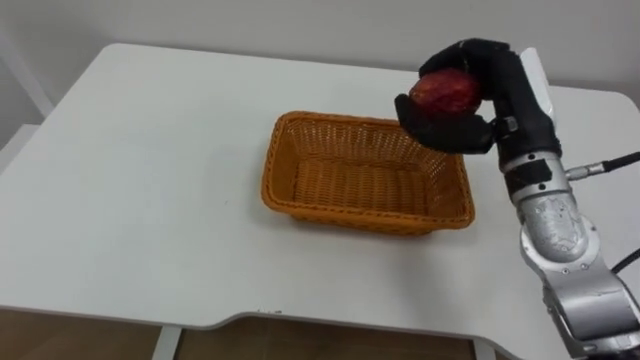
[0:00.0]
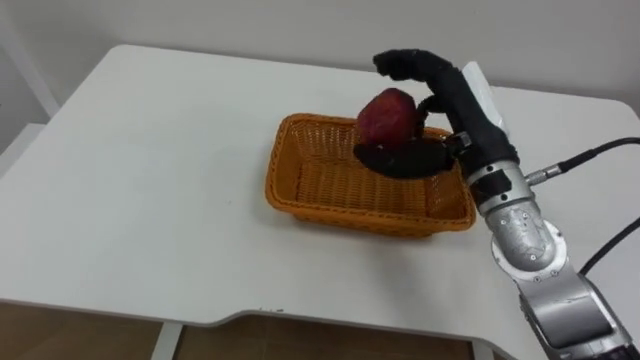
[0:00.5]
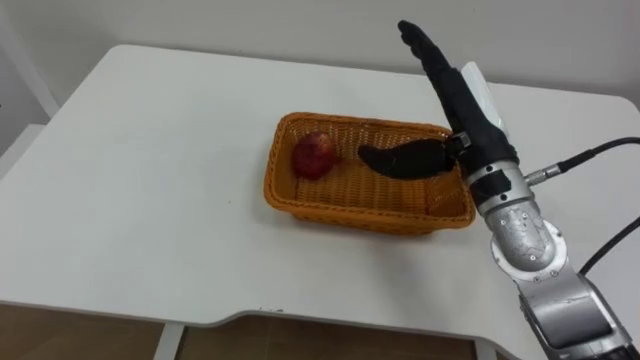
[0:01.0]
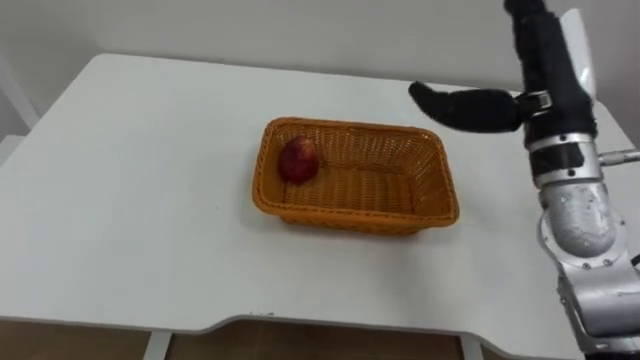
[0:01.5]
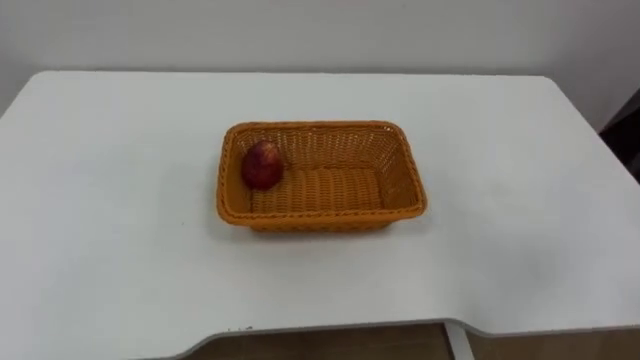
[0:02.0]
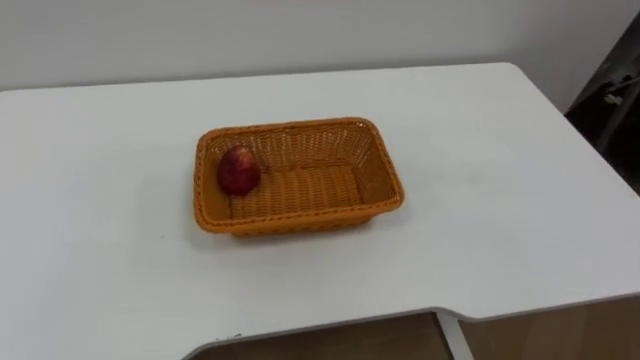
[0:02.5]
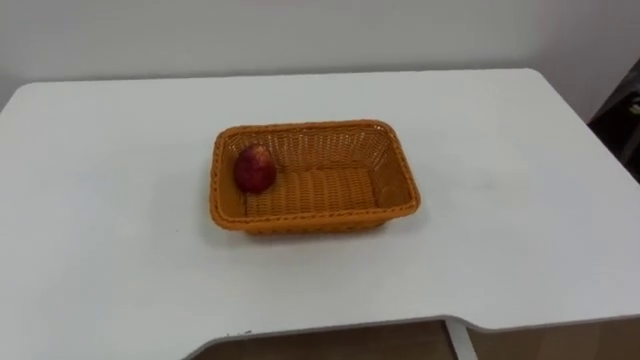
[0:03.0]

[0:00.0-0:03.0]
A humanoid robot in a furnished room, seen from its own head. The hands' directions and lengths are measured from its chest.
Task of the whole recording: Pick the apple and place it in the box.
0:00.0 to 0:01.5: The right hand opens up.

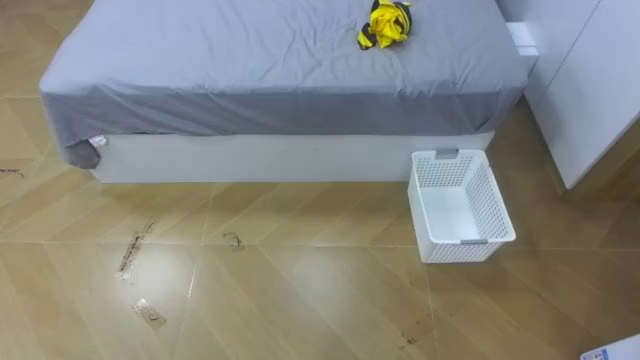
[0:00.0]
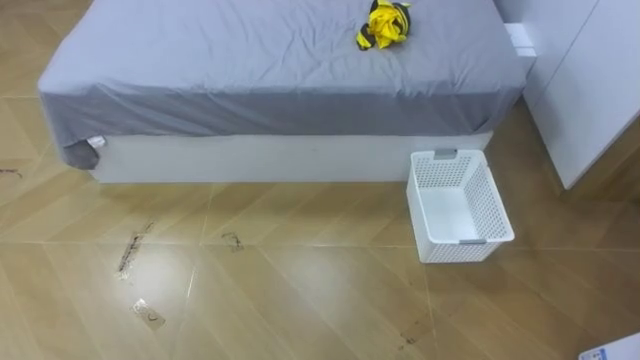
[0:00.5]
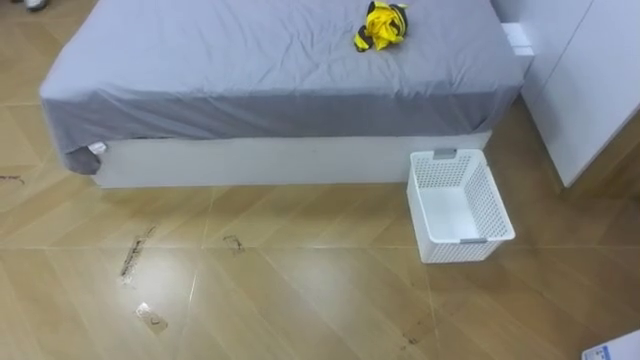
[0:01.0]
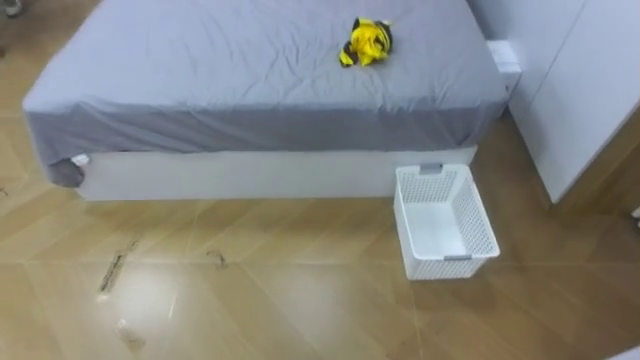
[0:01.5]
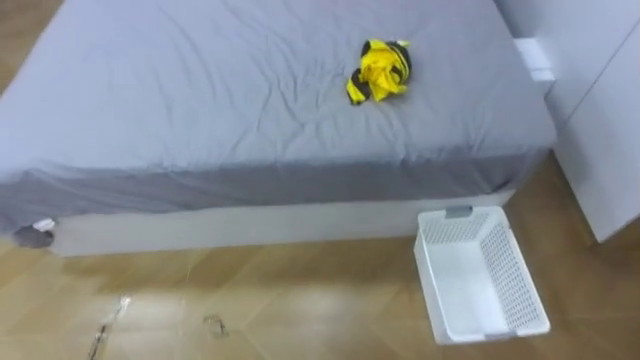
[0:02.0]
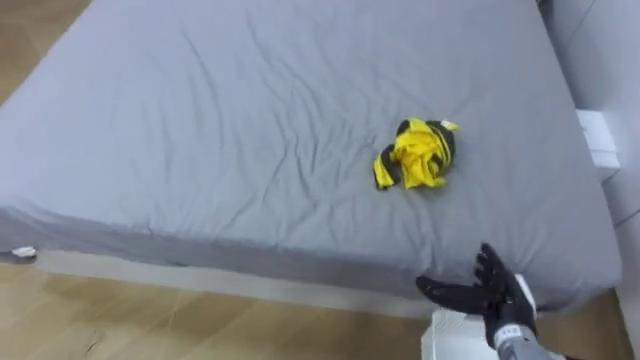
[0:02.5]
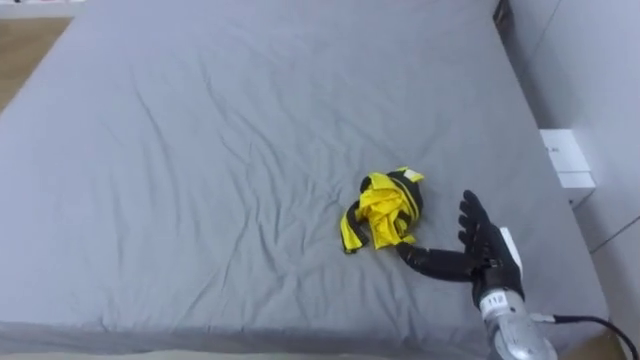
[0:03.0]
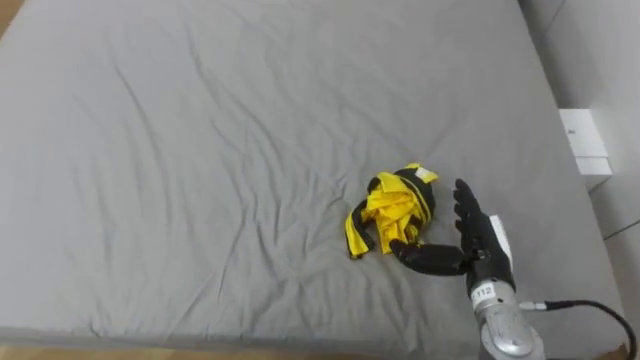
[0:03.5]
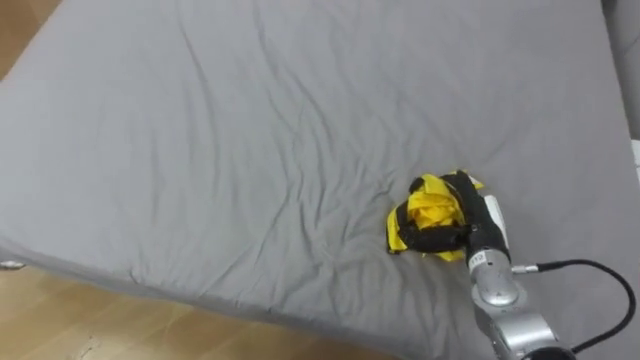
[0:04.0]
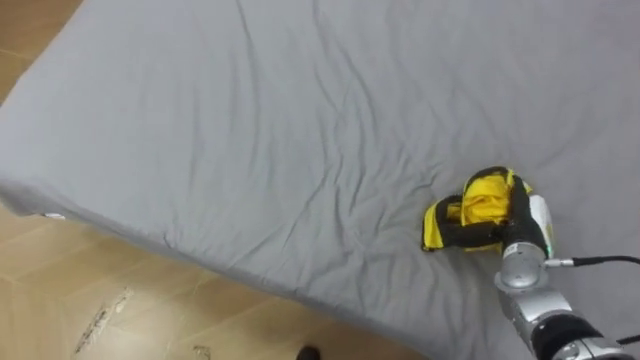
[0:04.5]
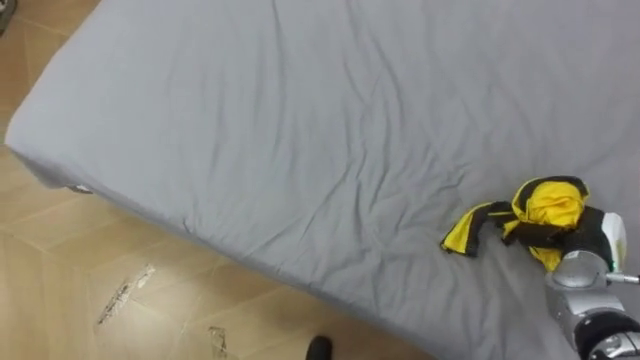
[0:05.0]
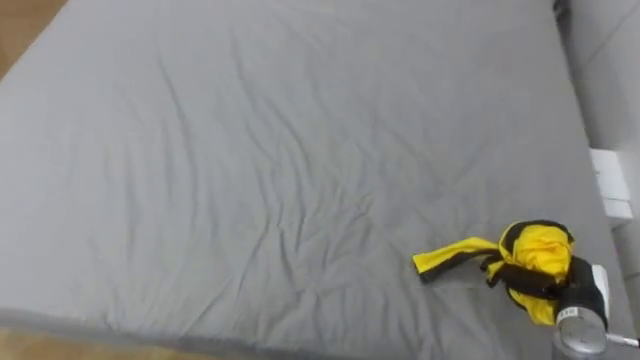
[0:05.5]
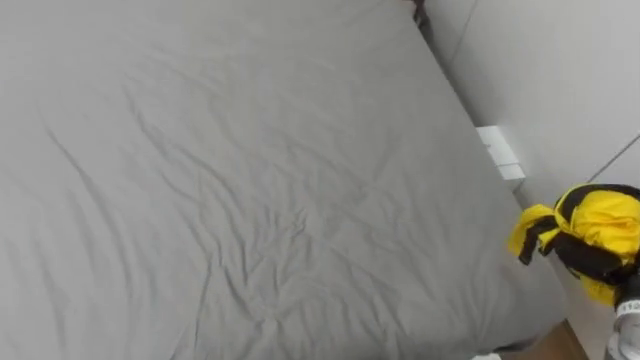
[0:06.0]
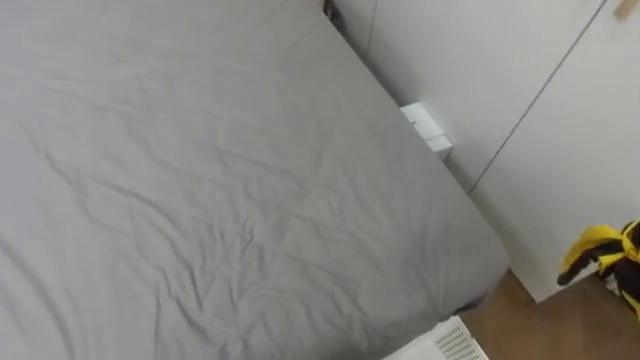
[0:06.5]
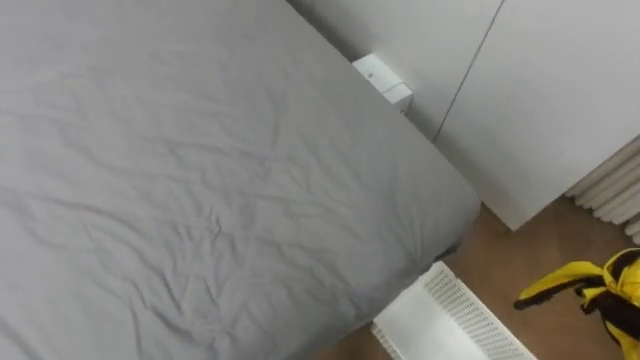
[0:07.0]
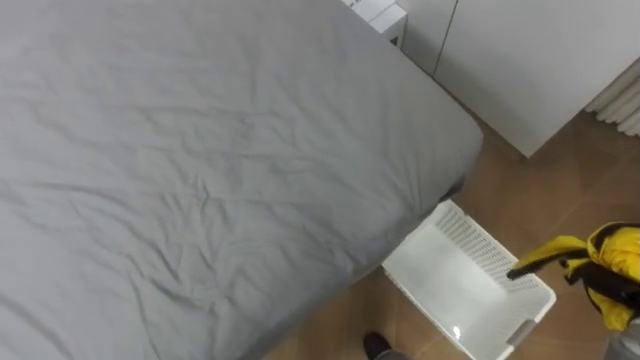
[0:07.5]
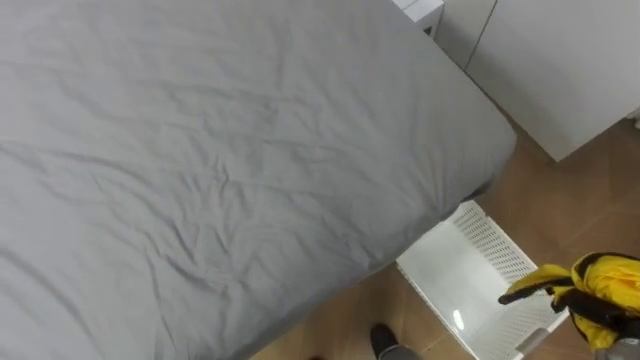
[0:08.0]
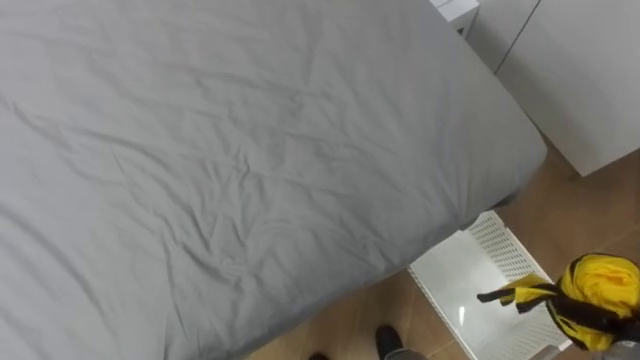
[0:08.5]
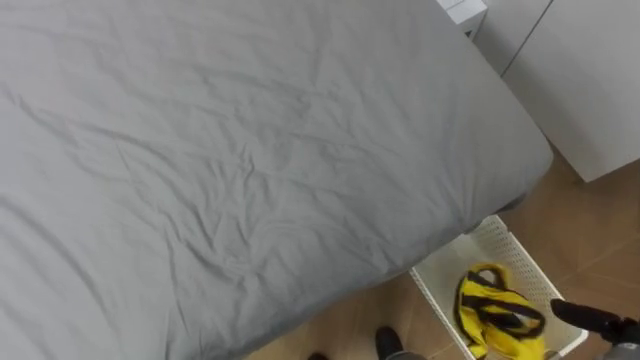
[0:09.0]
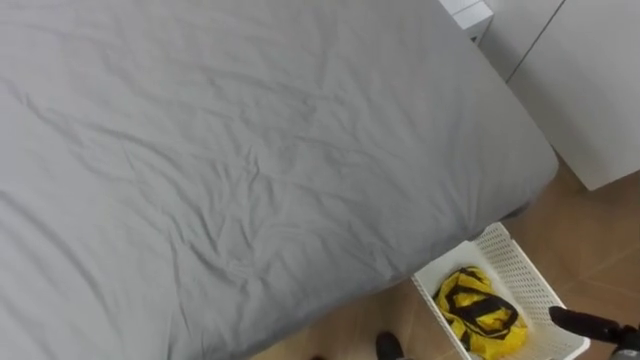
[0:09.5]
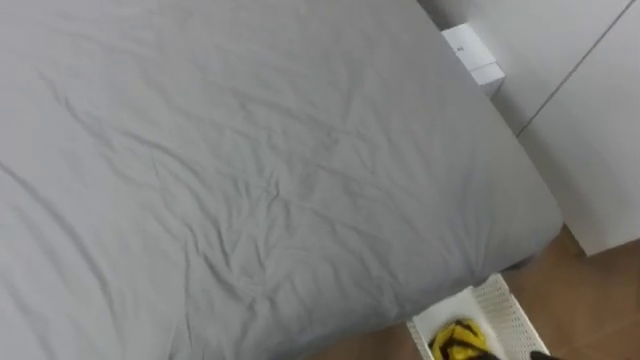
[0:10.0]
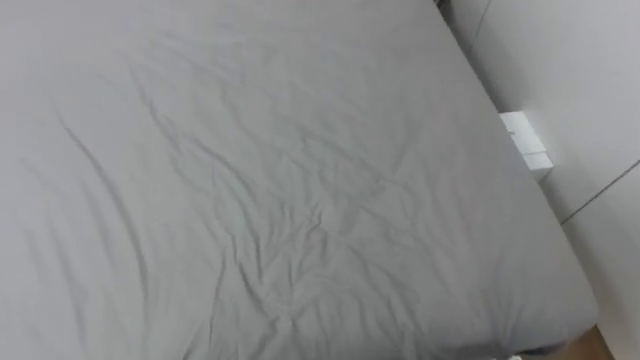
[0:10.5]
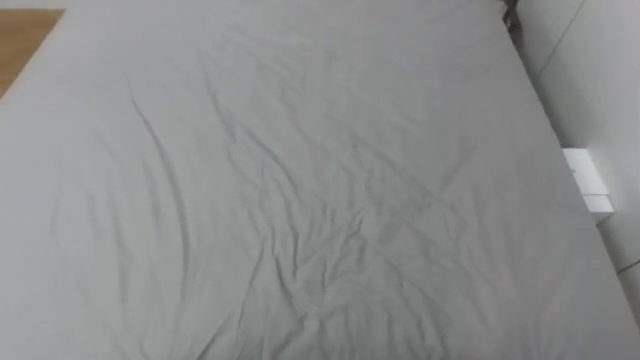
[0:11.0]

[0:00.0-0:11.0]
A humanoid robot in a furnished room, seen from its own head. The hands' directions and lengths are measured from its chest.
Task of the whole recording: Pick up the yellow clothes on the bed and place them into the white basket on the right.
0:03.5 to 0:05.5: The right hand moves to the right and downward, about 15 cm, and closes its fingers.
0:09.0 to 0:11.0: The robot turns to its left by approximately 20 degrees.

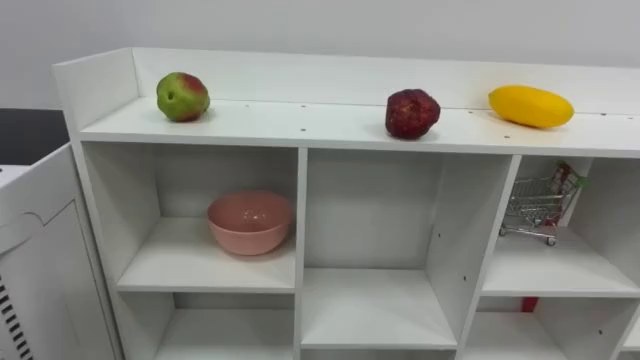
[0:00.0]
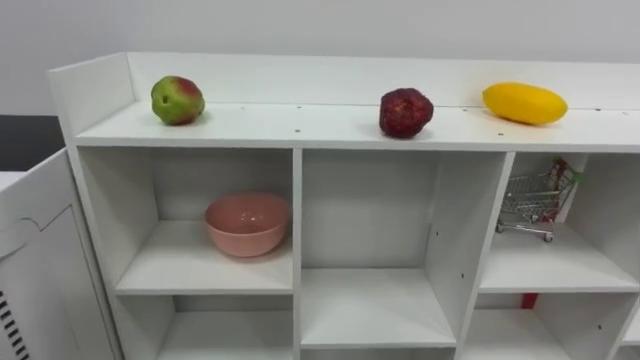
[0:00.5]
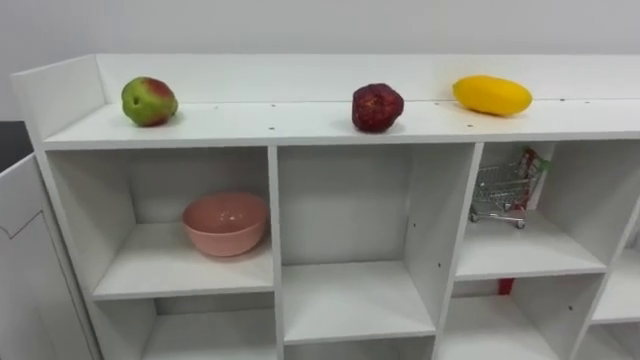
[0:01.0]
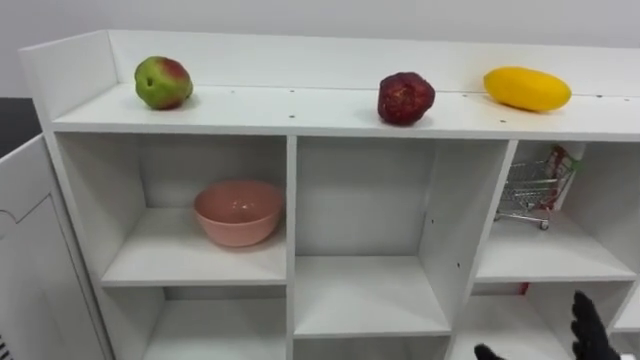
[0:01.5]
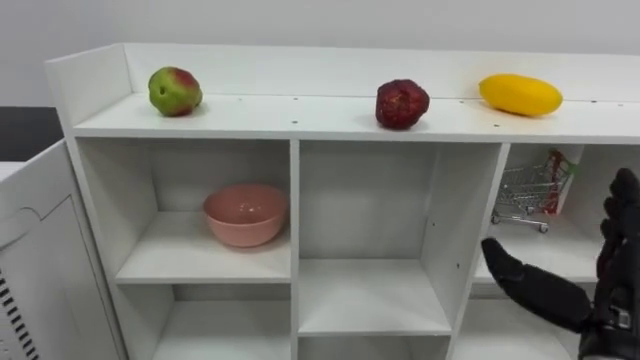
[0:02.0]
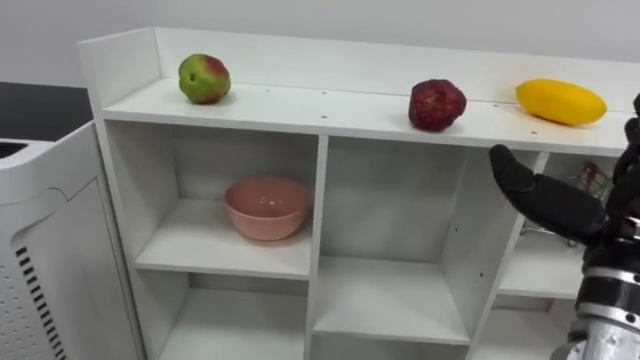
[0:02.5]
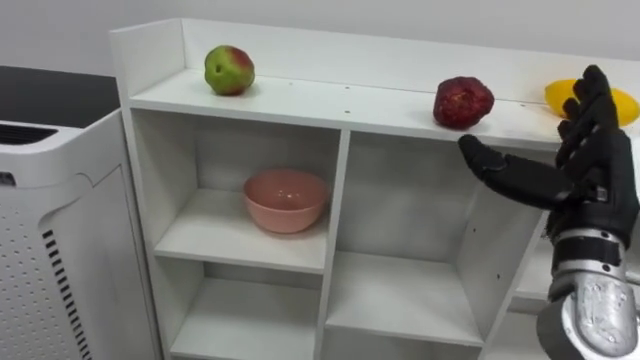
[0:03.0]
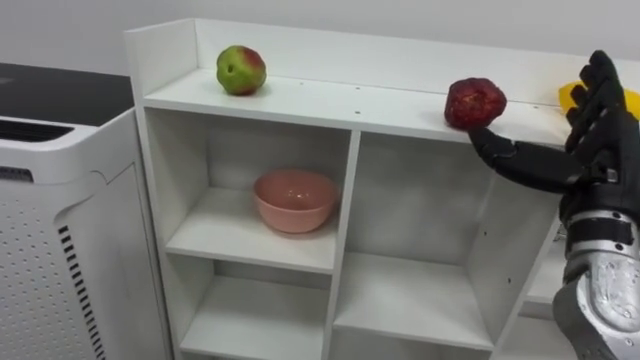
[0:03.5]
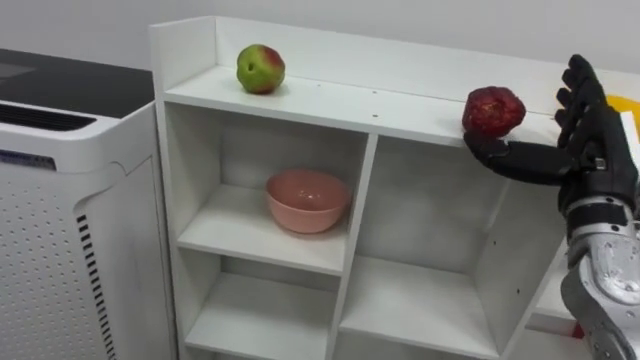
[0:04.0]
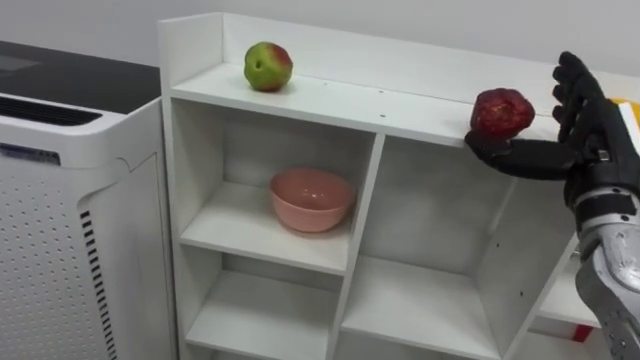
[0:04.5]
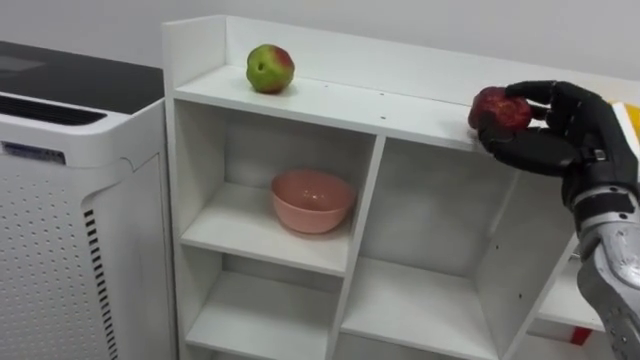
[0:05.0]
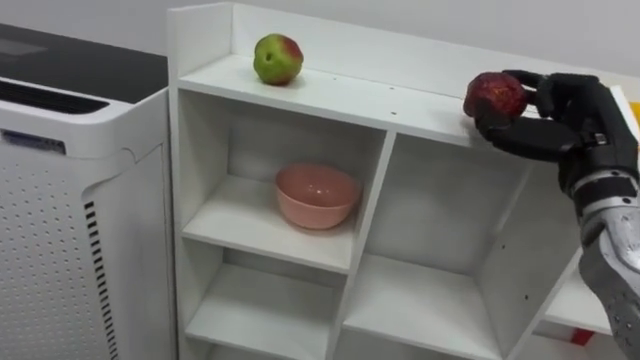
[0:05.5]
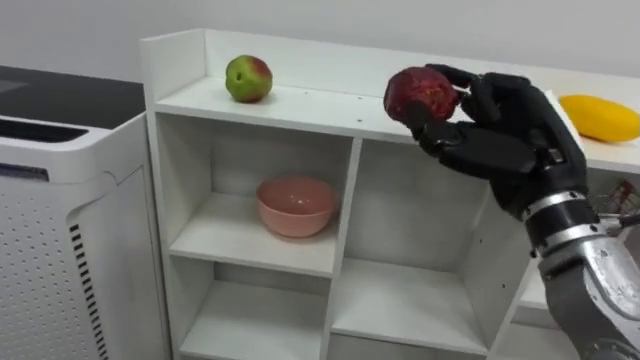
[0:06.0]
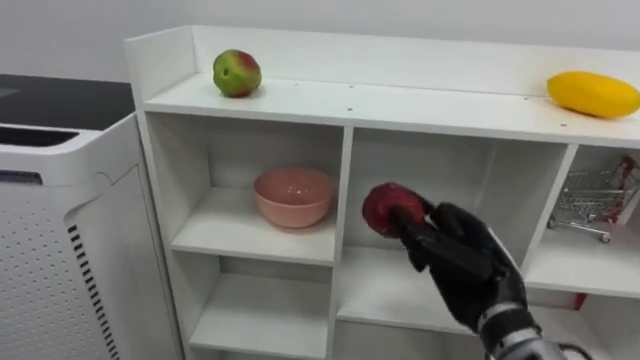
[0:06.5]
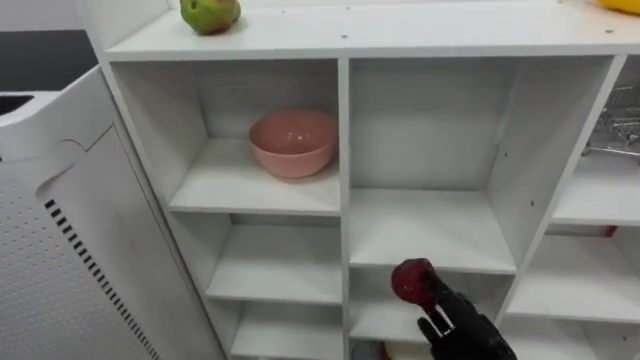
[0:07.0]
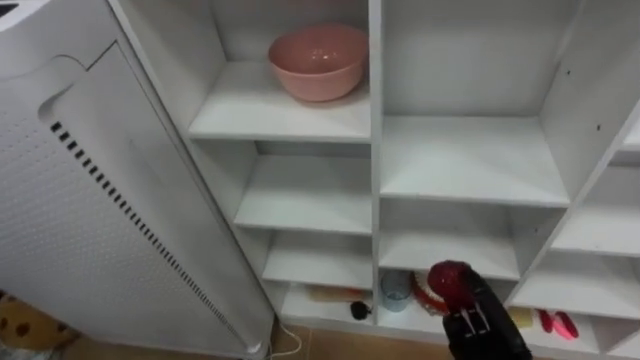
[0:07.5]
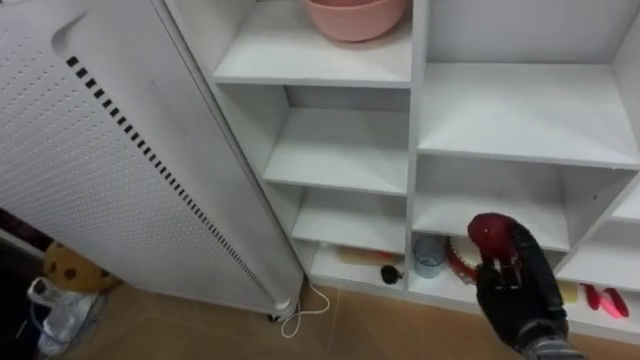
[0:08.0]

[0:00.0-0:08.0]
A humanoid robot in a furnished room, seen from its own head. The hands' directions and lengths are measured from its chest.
Task of the whole recording: Put the apple in the cell in the second column from the left and the second row from the top.
0:02.0 to 0:04.0: The right hand shifts about 15 cm forward and upward.
0:04.0 to 0:06.0: The right hand goes approximately 10 cm to the left, and closes.
